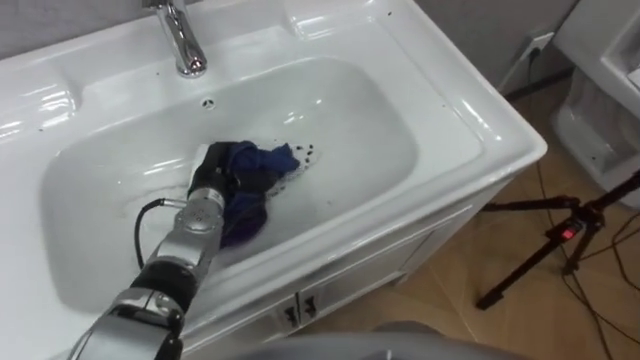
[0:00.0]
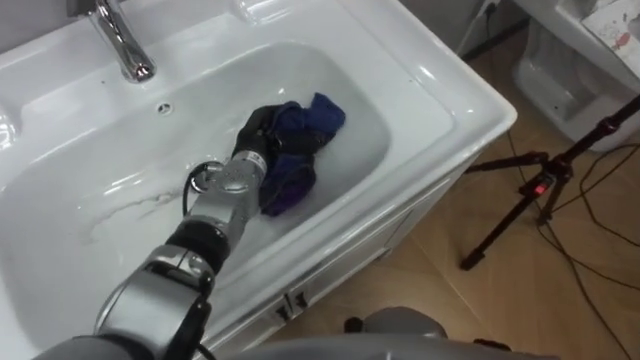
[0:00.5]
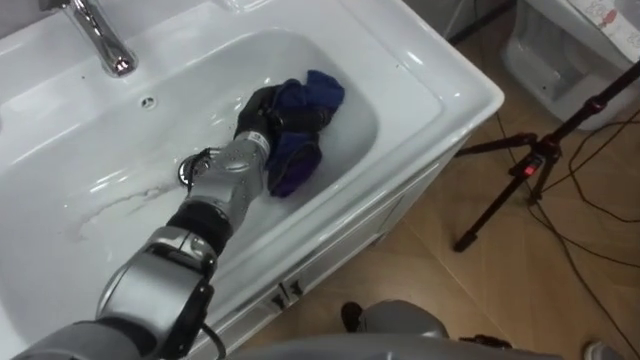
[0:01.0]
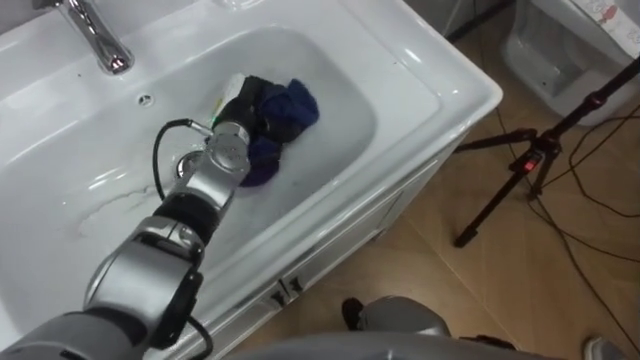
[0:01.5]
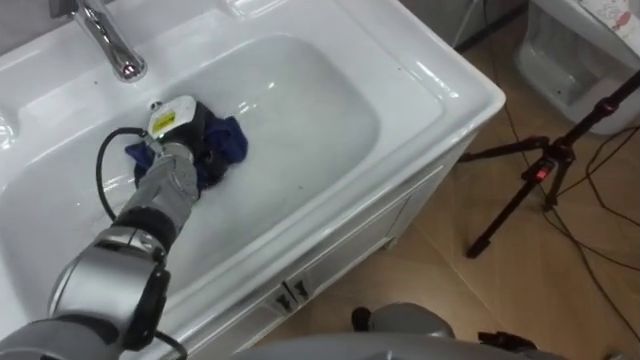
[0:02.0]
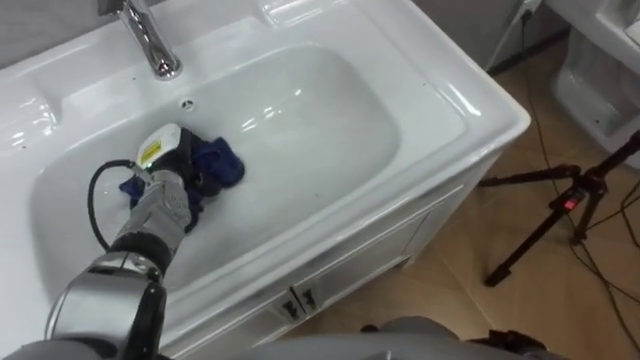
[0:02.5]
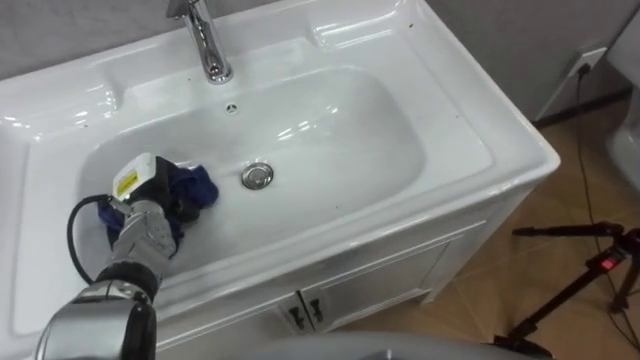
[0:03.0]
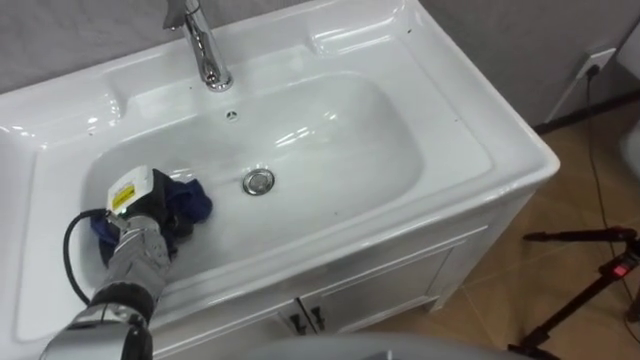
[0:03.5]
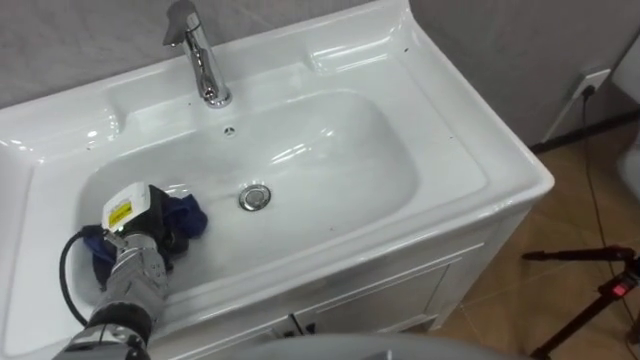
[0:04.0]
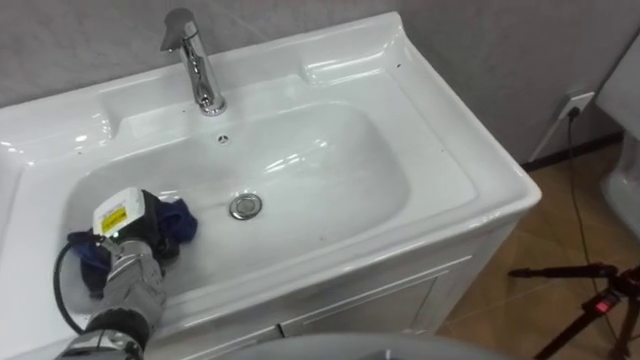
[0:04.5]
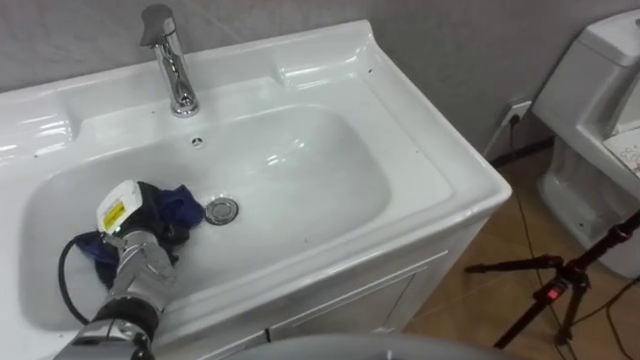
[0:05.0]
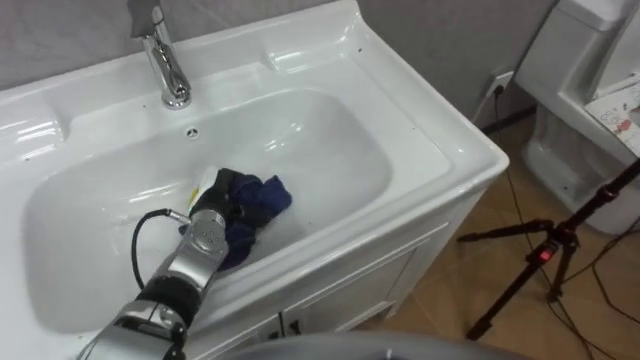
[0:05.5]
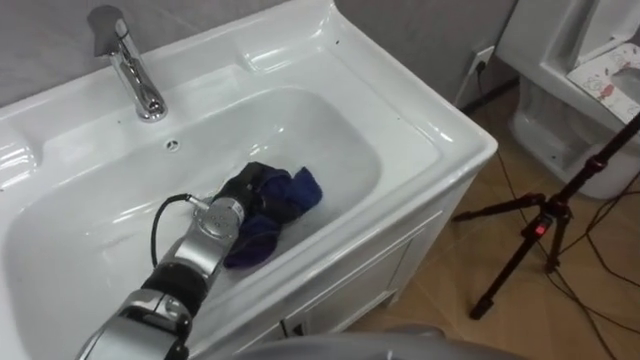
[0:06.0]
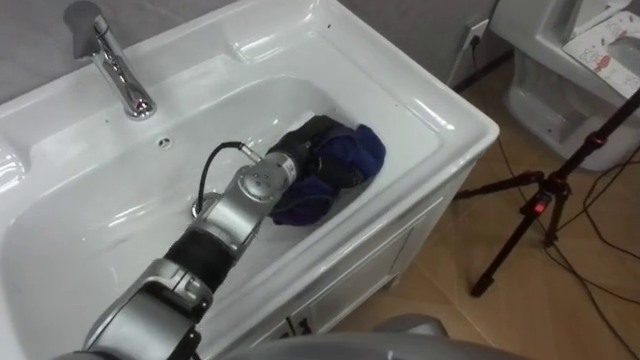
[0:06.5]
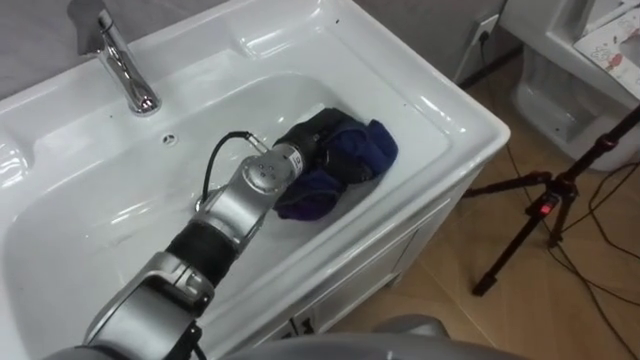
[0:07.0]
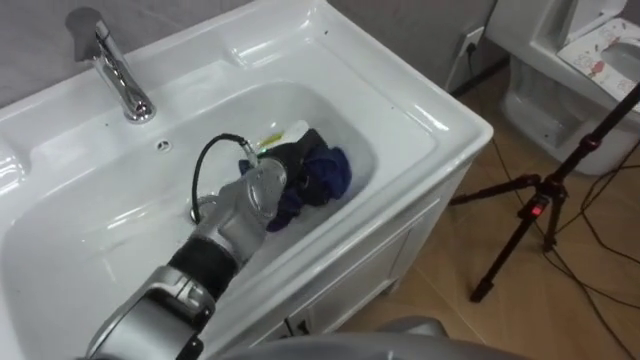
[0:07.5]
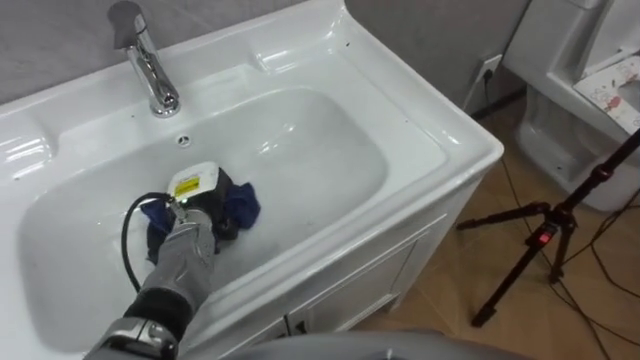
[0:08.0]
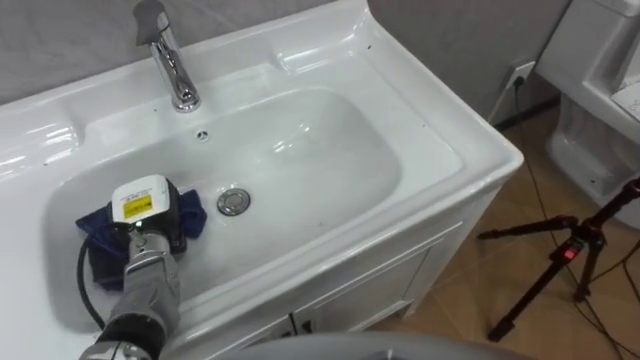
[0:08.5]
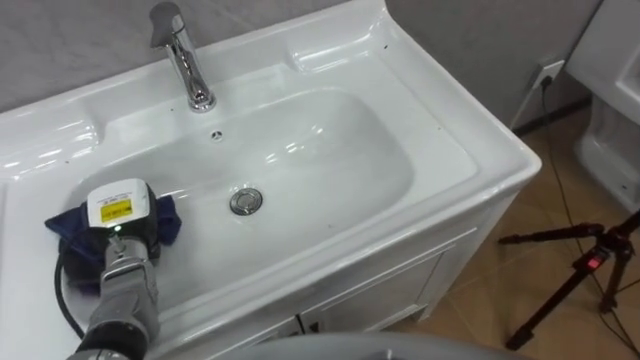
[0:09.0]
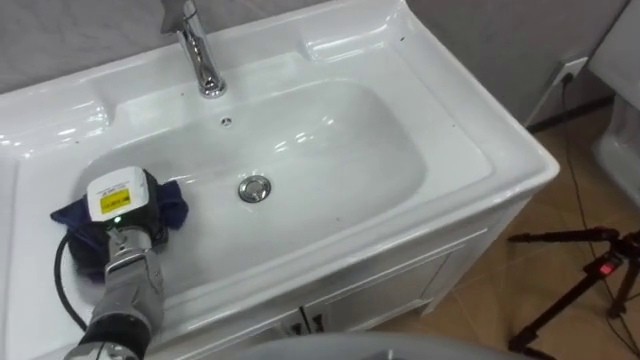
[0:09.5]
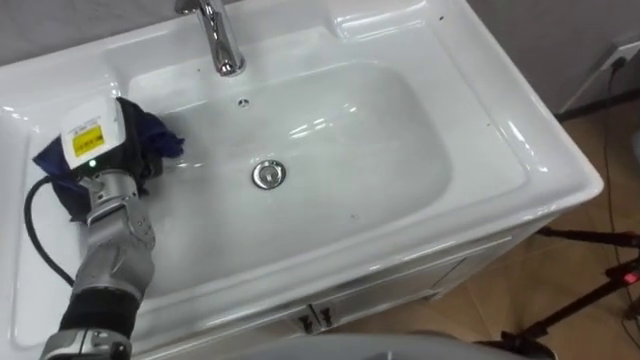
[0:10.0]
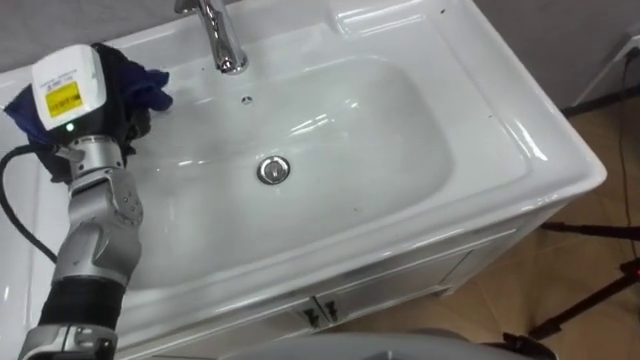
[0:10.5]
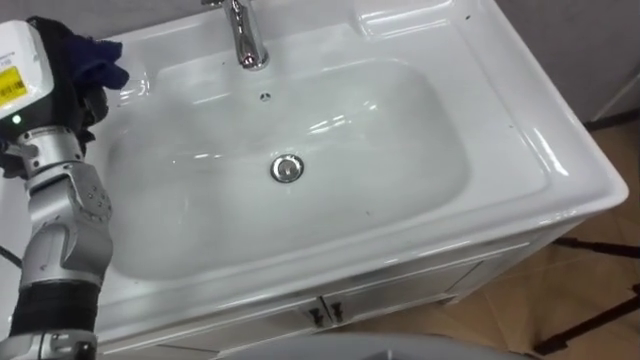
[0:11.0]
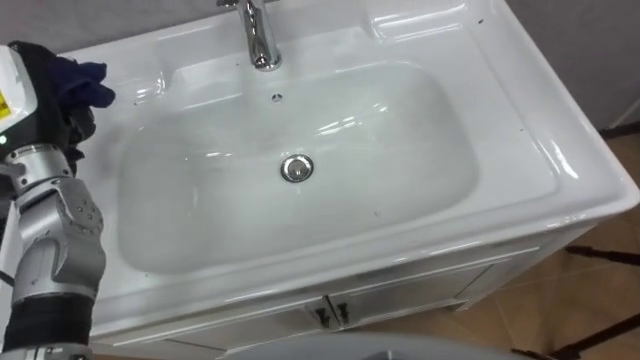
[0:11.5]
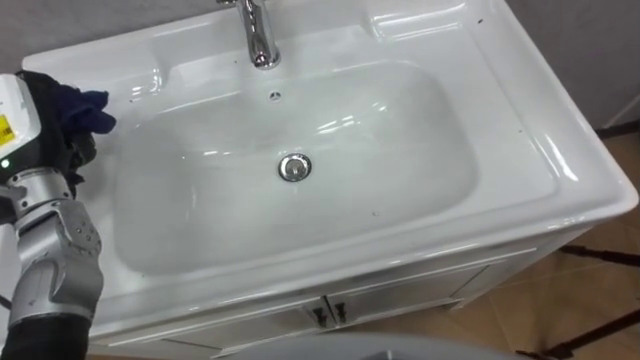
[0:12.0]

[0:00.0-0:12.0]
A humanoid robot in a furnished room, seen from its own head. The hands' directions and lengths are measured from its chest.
Task of the whole recording: Use the cloth on the right to wipe away the black stain in the sink.
0:00.0 to 0:02.0: The left hand moves forward, some 5 cm.
0:02.0 to 0:04.0: The left hand heads backward, to the left and downward, covering approximately 15 cm.
0:04.0 to 0:06.0: The left hand shifts approximately 15 cm to the right.
0:06.0 to 0:08.0: The left hand is displaced to the left by about 5 cm.
0:08.0 to 0:10.0: The left hand shifts approximately 15 cm upward and to the left.
0:10.0 to 0:12.0: The left hand heads upward and to the left, covering roughly 10 cm.

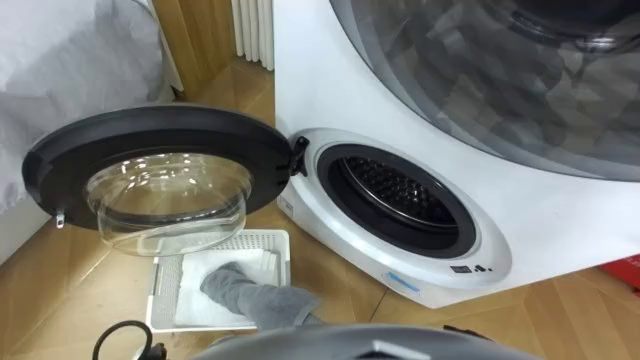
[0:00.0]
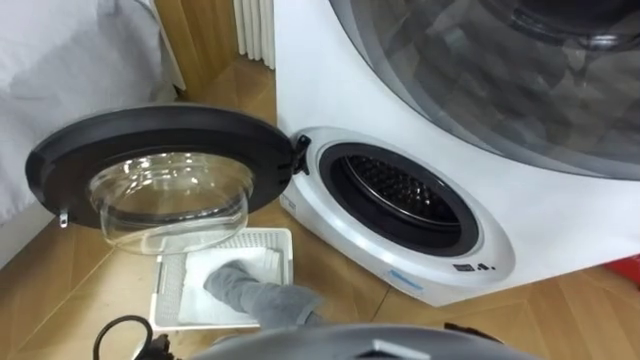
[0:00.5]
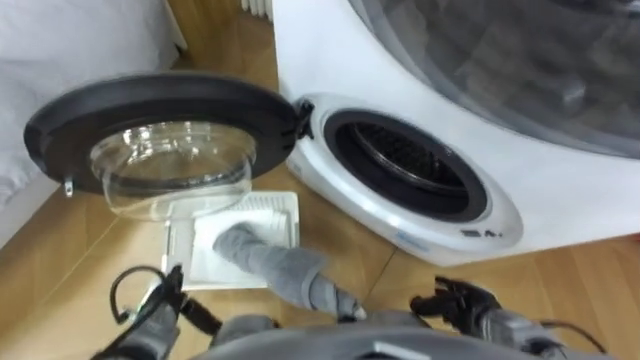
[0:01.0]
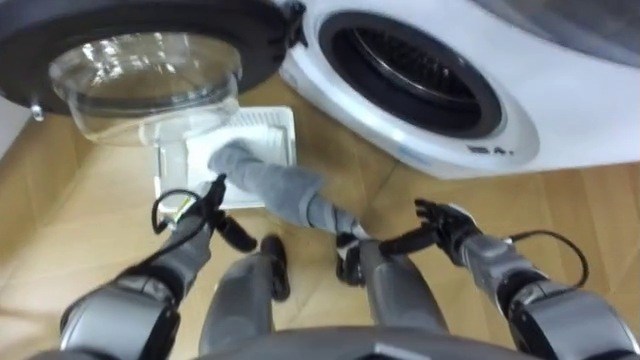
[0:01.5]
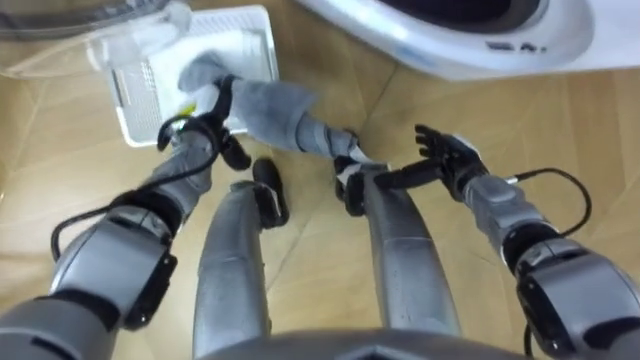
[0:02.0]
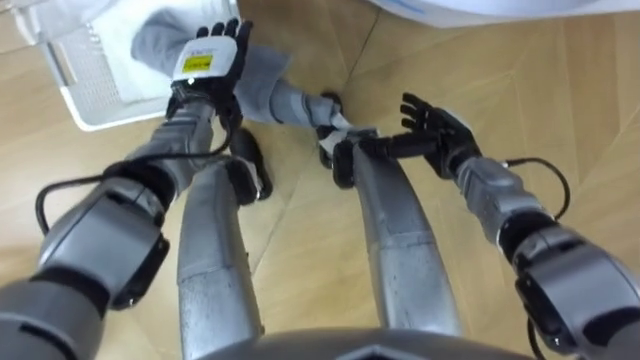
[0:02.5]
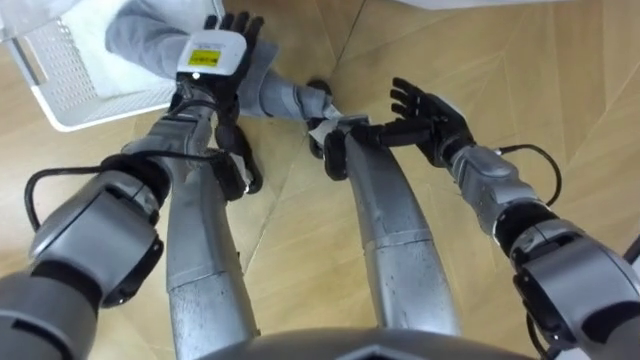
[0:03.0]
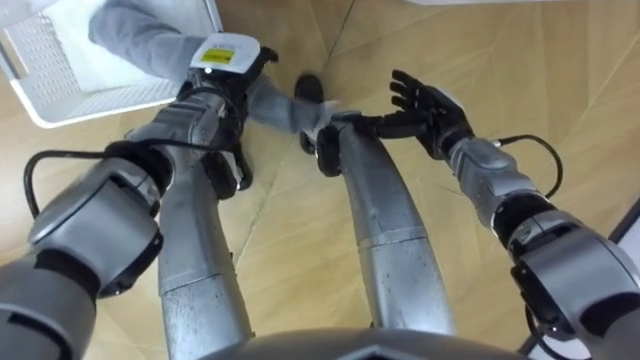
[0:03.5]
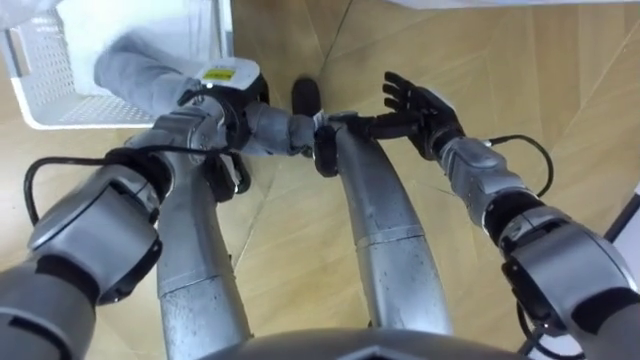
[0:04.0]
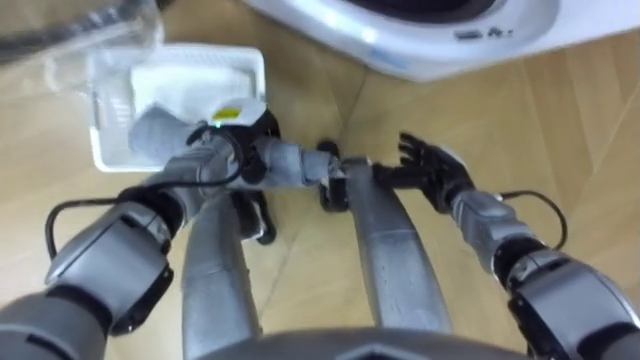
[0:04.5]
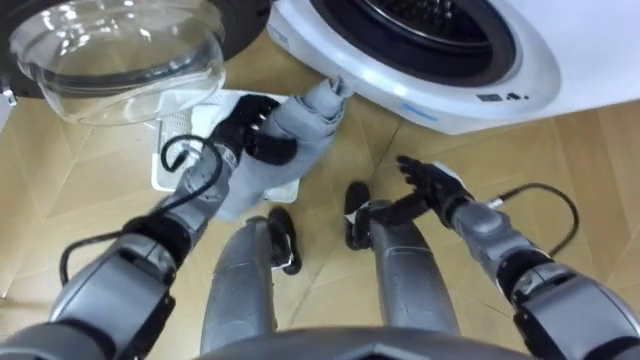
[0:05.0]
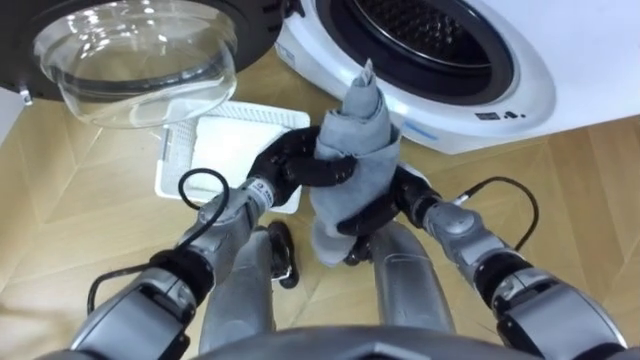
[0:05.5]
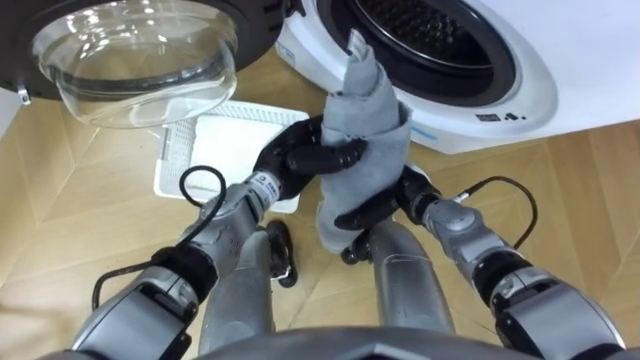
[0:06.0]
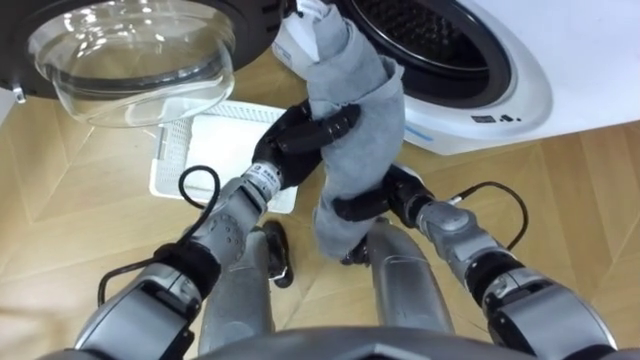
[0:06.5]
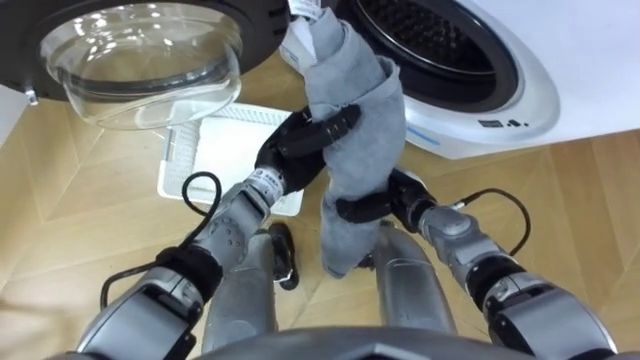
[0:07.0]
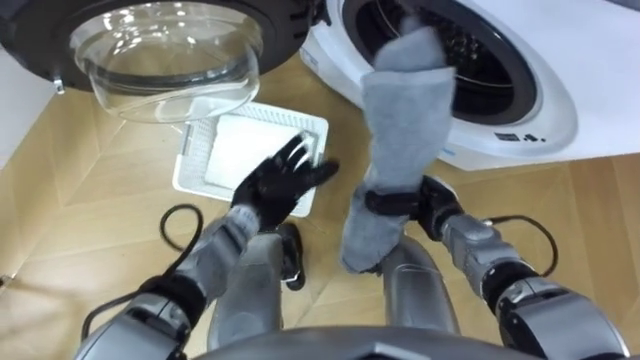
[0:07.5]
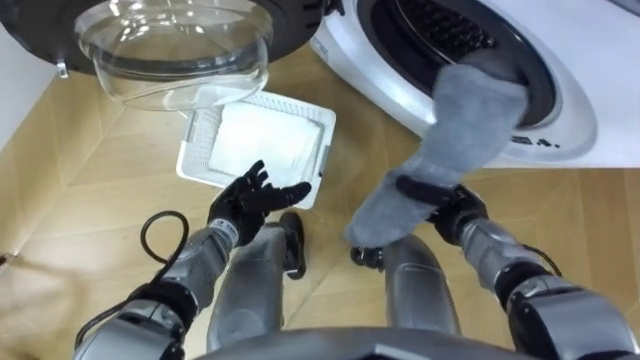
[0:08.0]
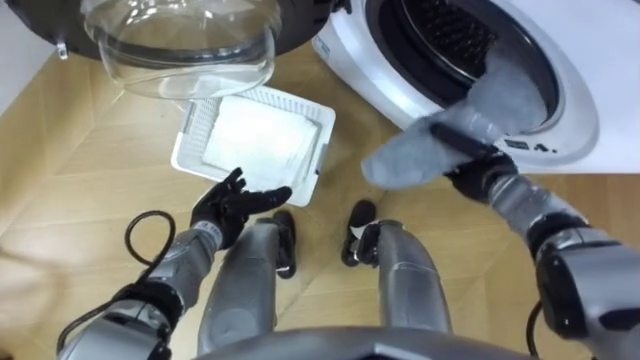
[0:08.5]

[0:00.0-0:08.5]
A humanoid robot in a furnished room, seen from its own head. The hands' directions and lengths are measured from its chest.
Task of the whole recording: Take the towel from the basket and put it into the washing machine.
0:02.0 to 0:04.0: The right hand goes about 5 cm to the left, while the left hand ends up roughly 5 cm from where it was, and closes its fingers.
0:04.0 to 0:06.5: The left hand goes roughly 10 cm to the right and backward, while the right hand is displaced backward and downward by approximately 10 cm, and closes.
0:06.5 to 0:08.5: The left hand goes about 15 cm to the left, downward and backward, and opens up; the right hand shifts approximately 15 cm to the right.
